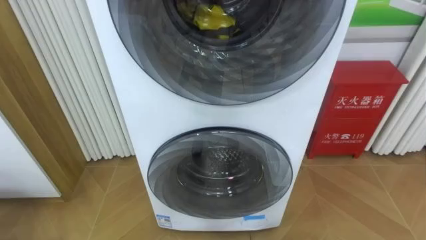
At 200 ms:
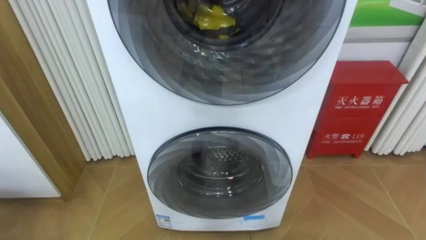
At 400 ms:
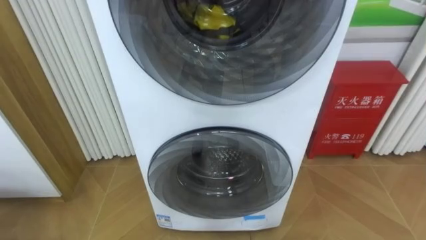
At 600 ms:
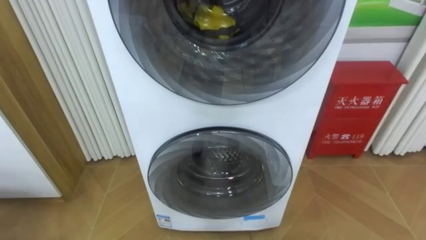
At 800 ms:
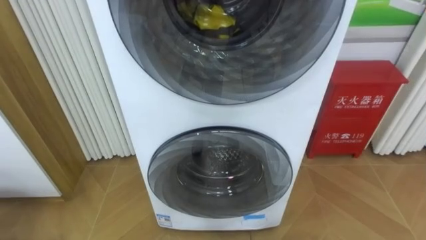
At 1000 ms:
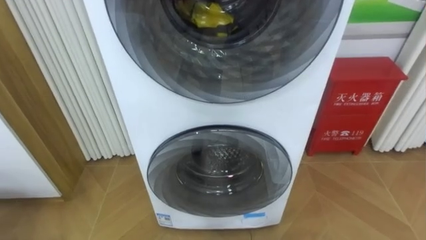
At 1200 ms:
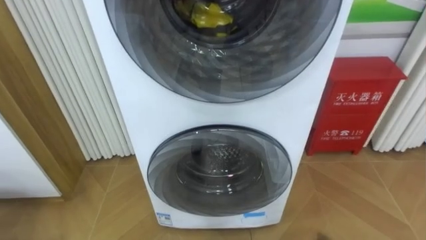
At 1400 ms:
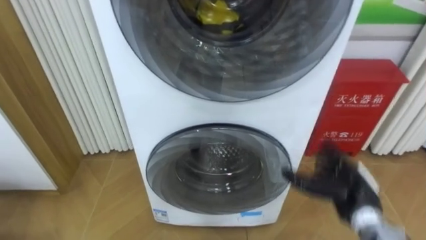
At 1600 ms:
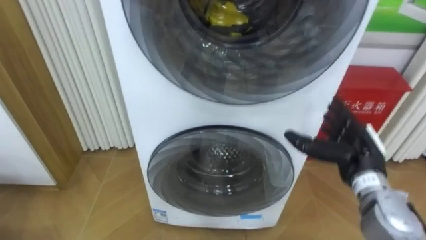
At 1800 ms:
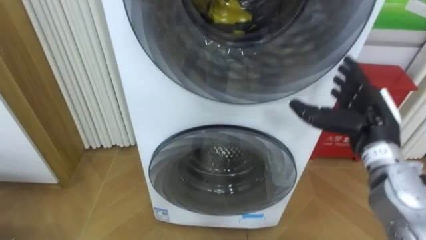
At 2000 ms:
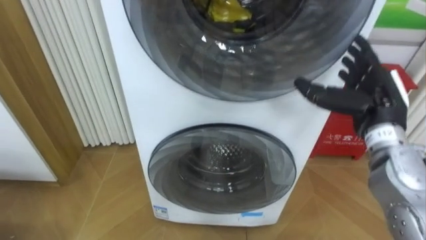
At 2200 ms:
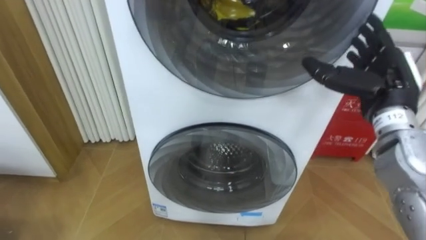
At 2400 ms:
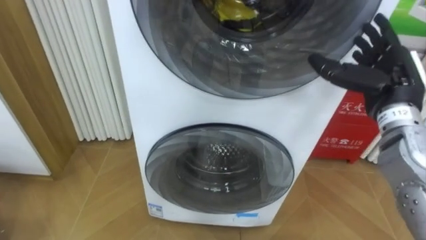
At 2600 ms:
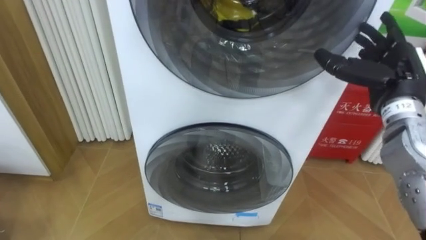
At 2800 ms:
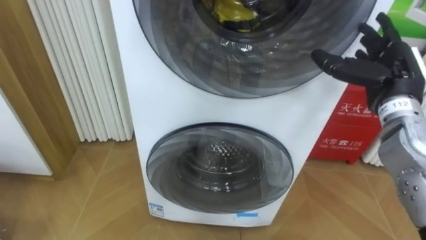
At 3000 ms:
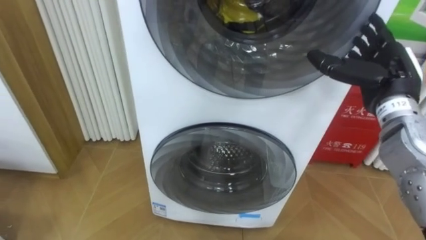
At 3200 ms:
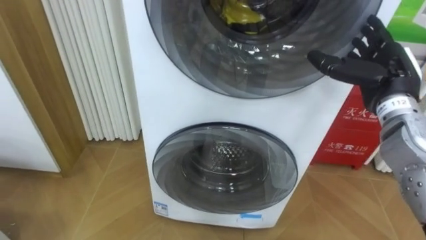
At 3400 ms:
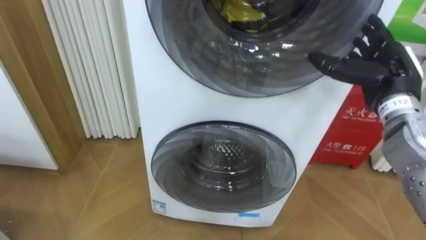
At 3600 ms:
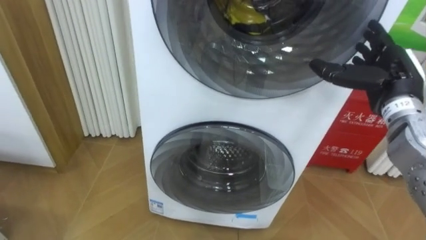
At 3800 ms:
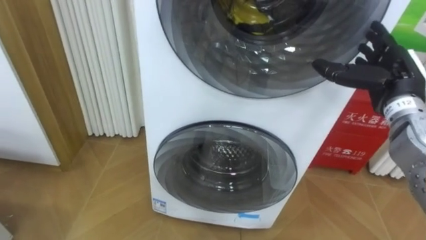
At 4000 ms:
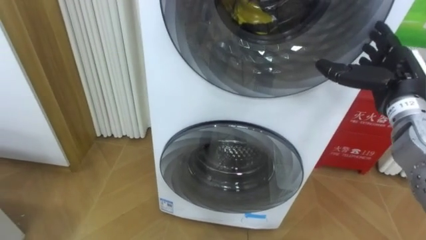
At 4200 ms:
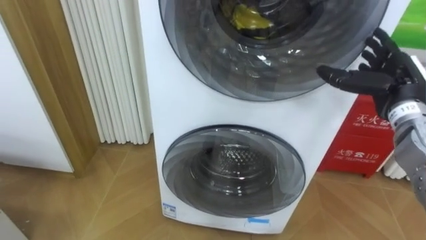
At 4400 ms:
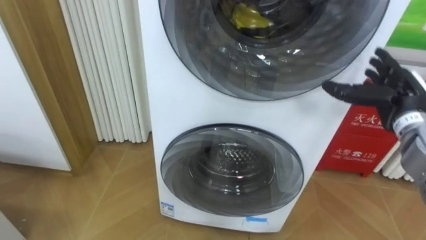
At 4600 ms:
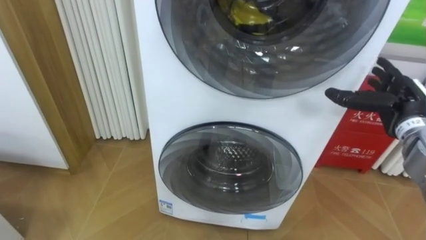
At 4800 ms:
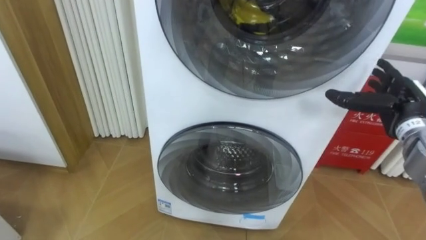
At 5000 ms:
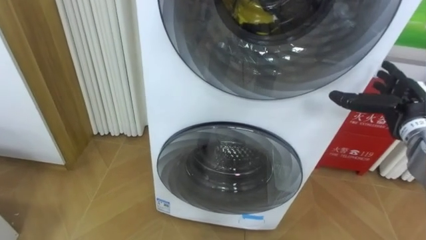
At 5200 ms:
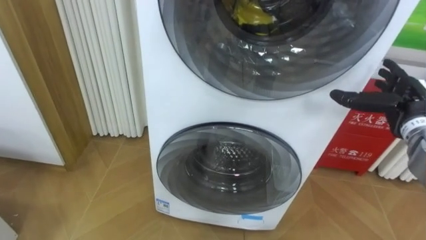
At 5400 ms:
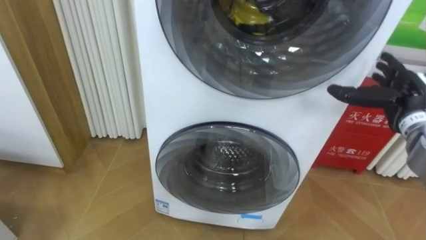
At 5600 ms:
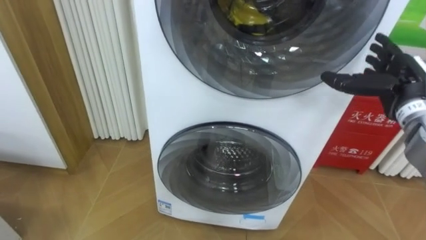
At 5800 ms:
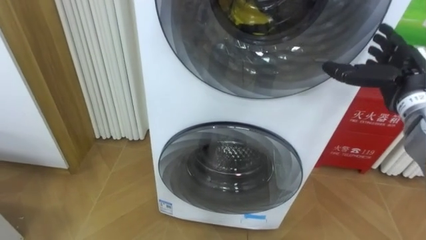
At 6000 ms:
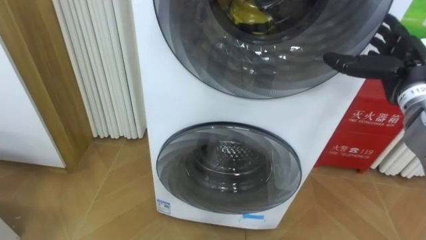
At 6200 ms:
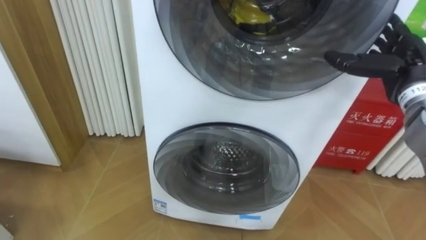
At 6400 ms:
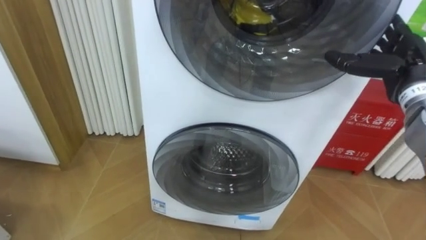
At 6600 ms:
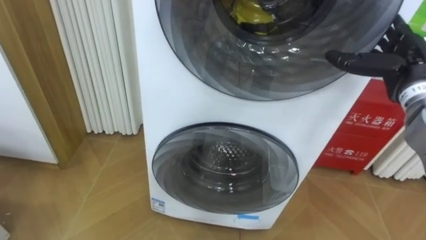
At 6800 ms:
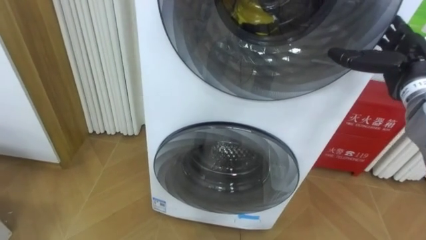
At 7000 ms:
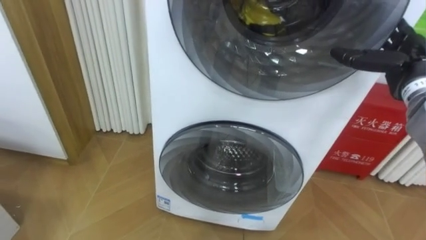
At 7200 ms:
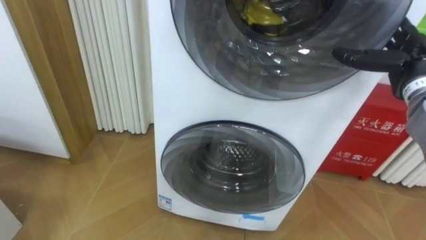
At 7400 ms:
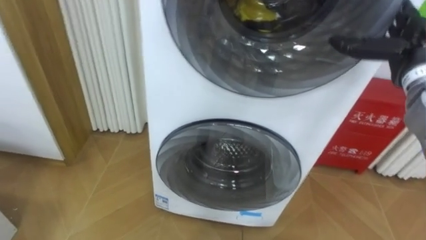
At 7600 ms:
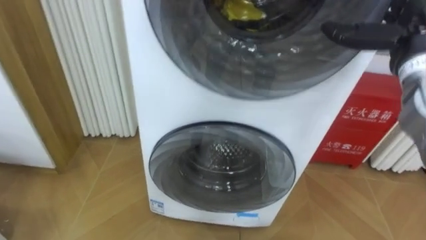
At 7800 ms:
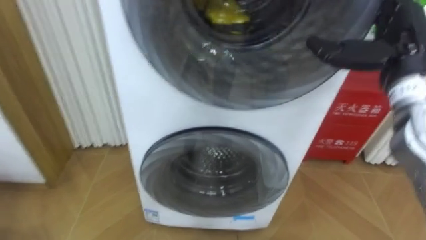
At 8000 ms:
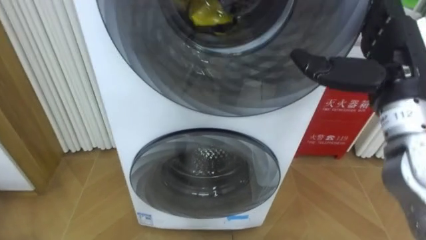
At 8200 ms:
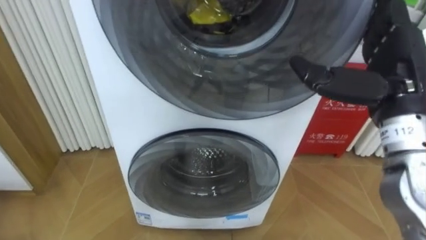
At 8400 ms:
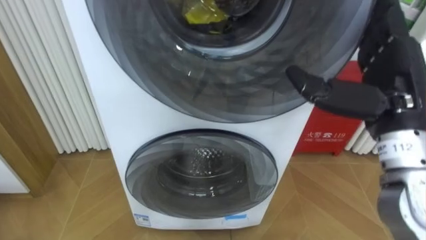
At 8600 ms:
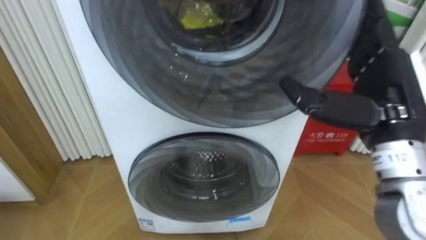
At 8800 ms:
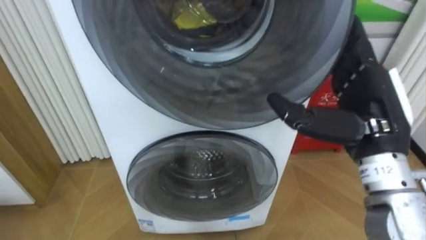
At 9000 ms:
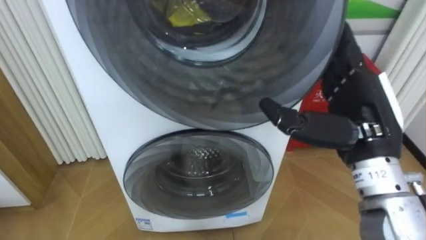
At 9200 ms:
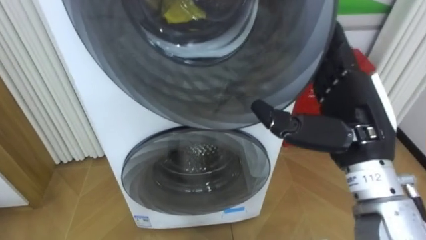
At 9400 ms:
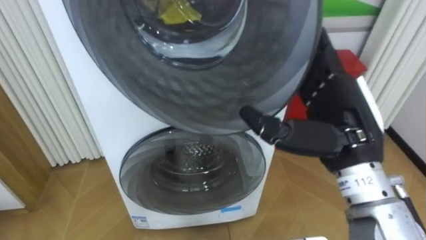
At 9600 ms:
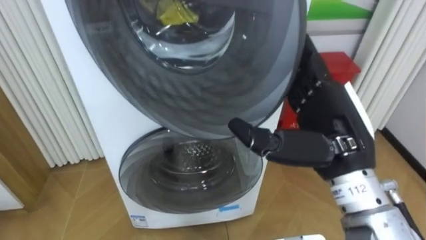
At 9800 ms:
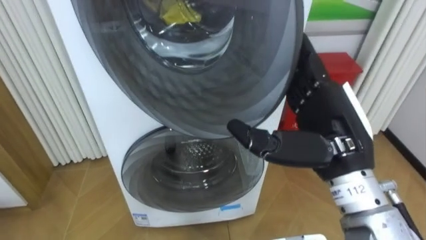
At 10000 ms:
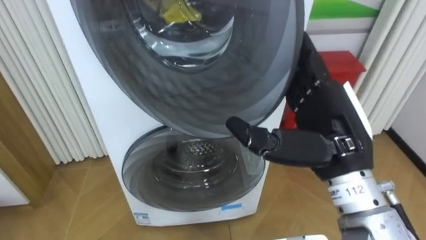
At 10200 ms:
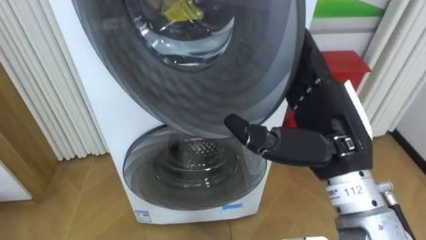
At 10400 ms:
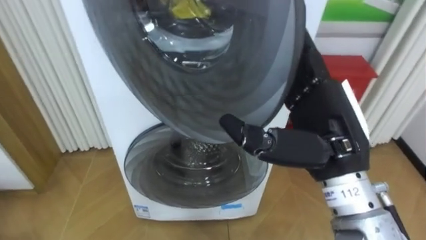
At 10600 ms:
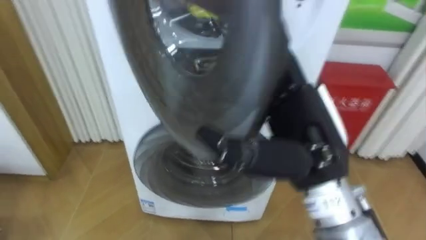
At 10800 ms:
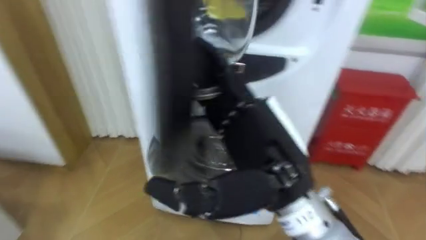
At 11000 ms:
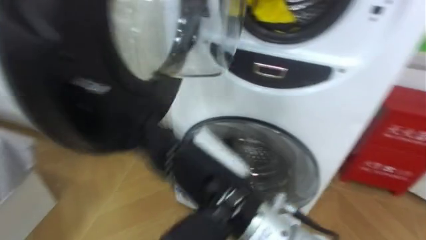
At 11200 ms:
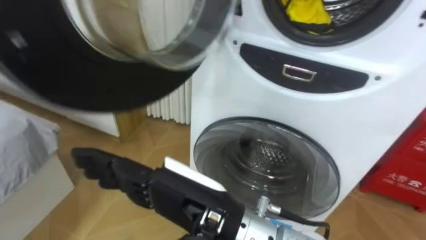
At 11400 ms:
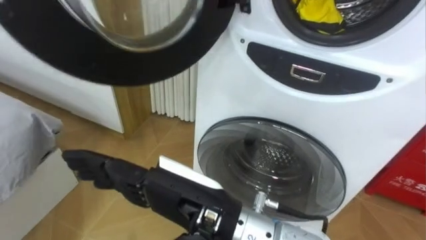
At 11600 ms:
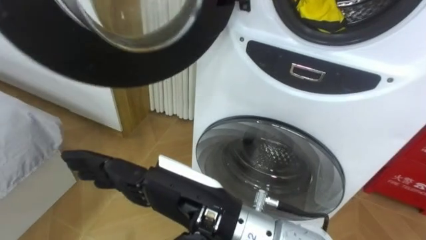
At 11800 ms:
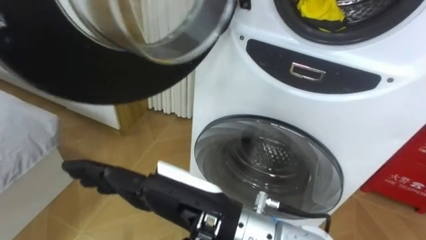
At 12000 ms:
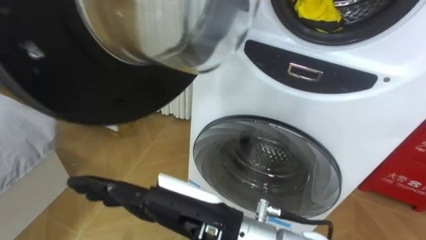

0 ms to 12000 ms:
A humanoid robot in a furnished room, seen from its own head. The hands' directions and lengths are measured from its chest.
Task of the whole recording: Open the washing machine door, take out the yellow clothes, place them in the box on the right, and close the washing machine door.
1600 ms to 3000 ms: The right hand goes some 15 cm upward and forward.
3000 ms to 4400 ms: The right hand is displaced downward by approximately 5 cm.
4400 ms to 6000 ms: The right hand moves upward, roughly 5 cm.
6000 ms to 7600 ms: The right hand travels upward by approximately 5 cm.
7600 ms to 9000 ms: The right hand shifts approximately 15 cm backward, to the left and downward.
9000 ms to 10400 ms: The right hand shifts some 5 cm to the left.
10400 ms to 12000 ms: The right hand goes some 20 cm to the left and backward.

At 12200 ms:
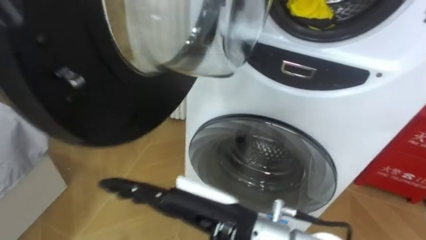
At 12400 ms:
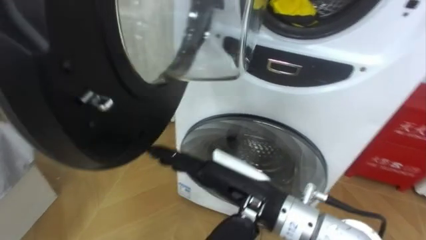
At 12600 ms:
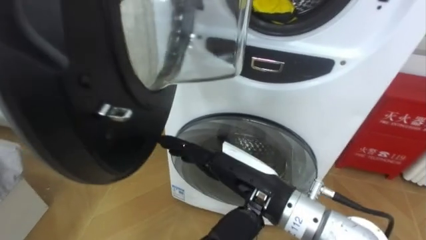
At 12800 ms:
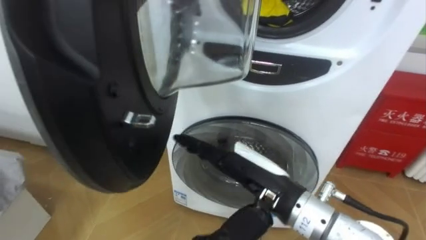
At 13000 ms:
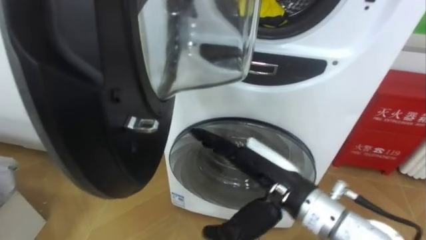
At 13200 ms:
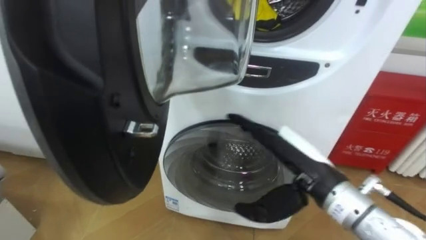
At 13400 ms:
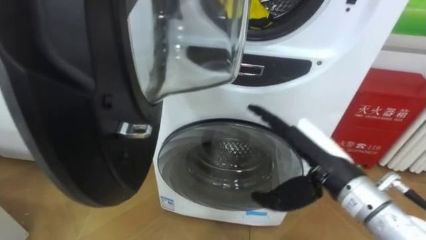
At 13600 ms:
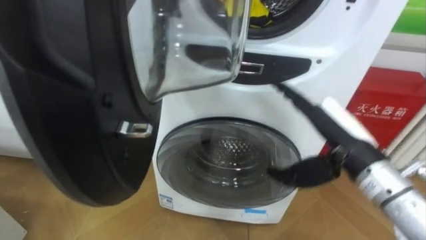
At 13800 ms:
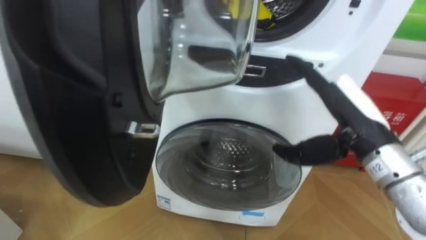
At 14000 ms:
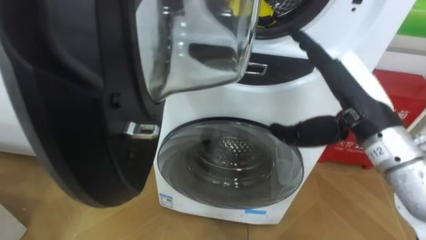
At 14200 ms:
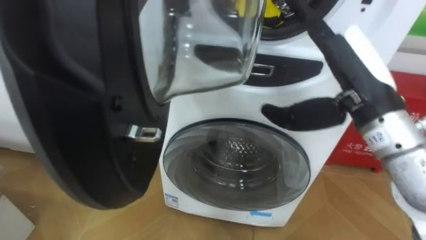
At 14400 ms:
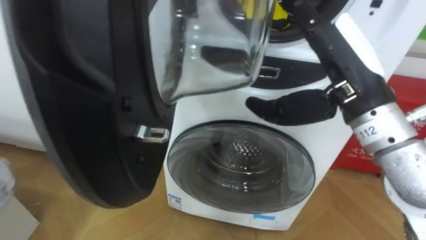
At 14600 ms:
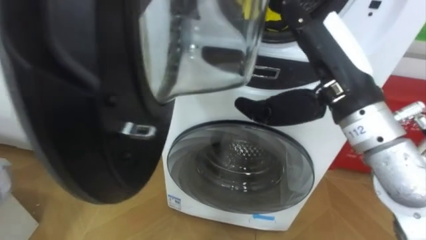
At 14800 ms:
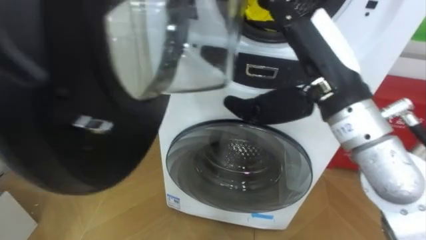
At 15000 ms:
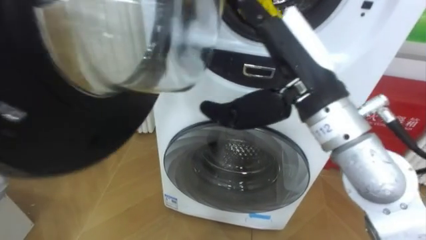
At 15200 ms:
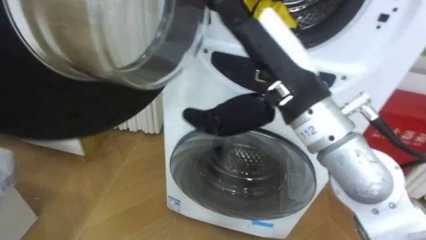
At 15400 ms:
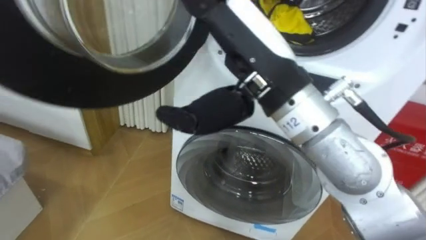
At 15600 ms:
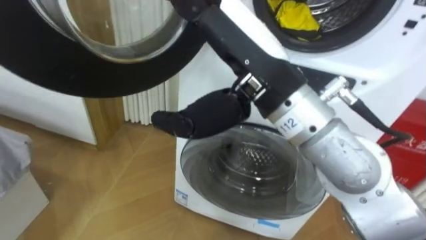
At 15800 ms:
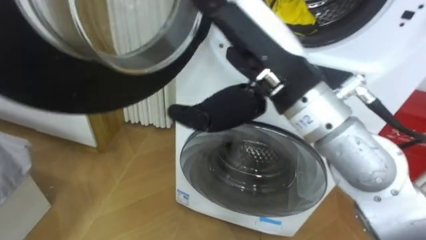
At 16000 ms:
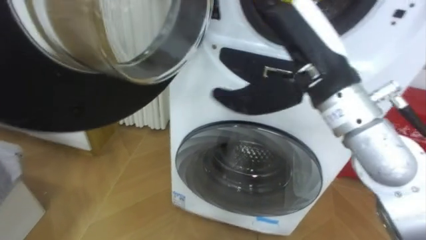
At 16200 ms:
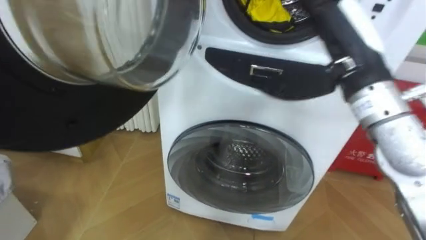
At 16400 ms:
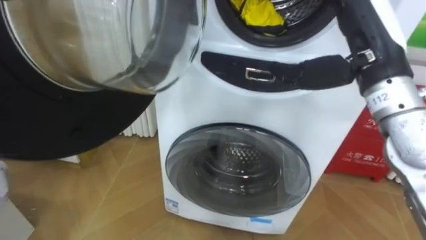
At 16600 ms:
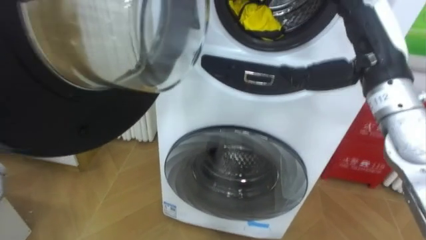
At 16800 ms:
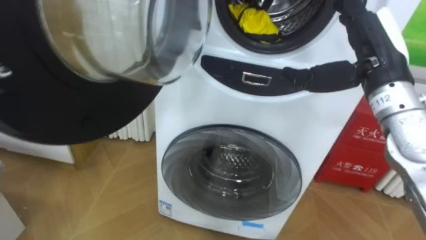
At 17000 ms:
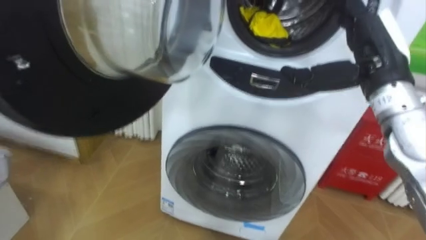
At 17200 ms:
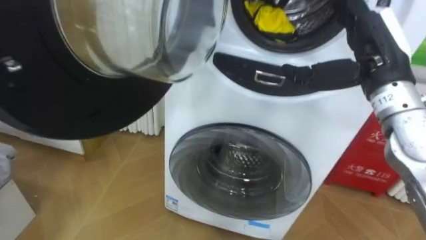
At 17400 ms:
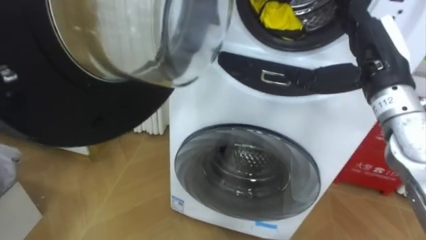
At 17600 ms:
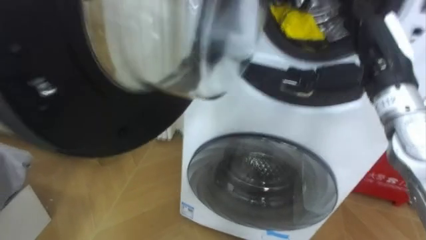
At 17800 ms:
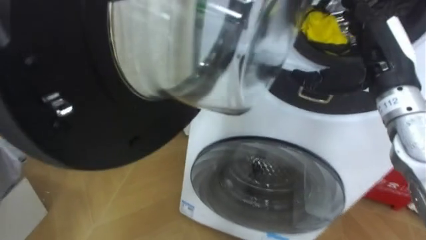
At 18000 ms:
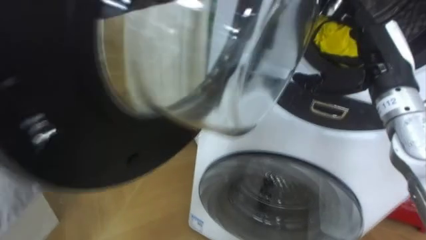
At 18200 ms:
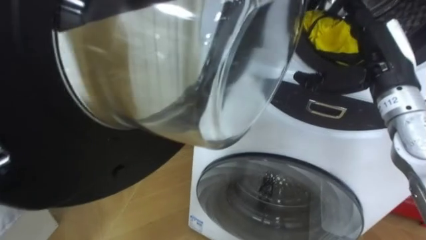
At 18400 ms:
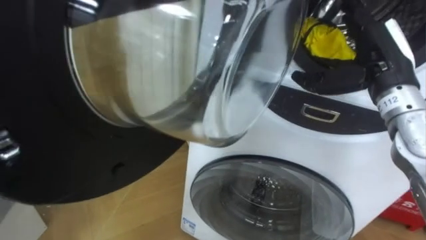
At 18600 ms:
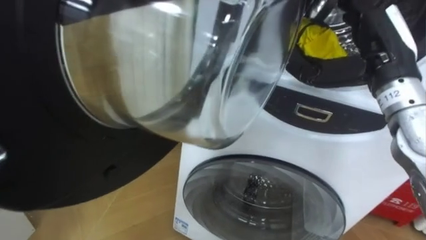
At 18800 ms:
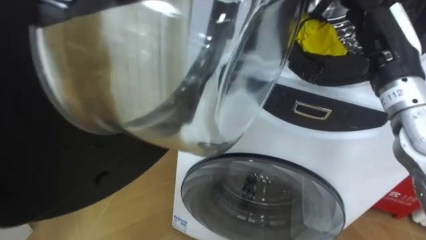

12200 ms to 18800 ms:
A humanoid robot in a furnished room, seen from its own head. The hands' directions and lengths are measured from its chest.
Task of the whole recording: Open the washing machine door, take out the yellow clothes, place them in the box on the right, and close the washing machine door.
12200 ms to 13800 ms: The right hand goes approximately 25 cm to the right and forward.
13800 ms to 15400 ms: The right hand shifts approximately 20 cm to the left and upward.
15400 ms to 17200 ms: The right hand heads to the right and forward, covering about 20 cm.
